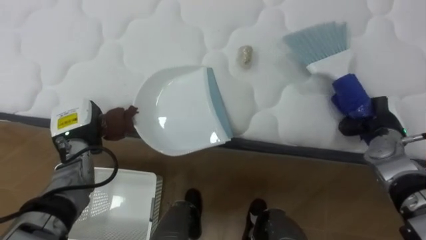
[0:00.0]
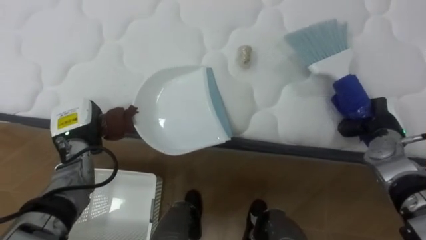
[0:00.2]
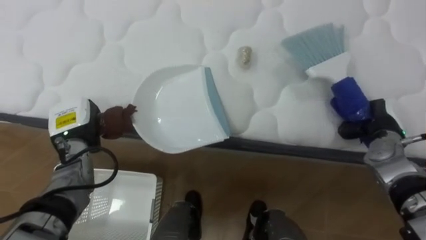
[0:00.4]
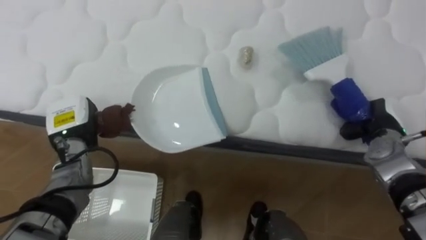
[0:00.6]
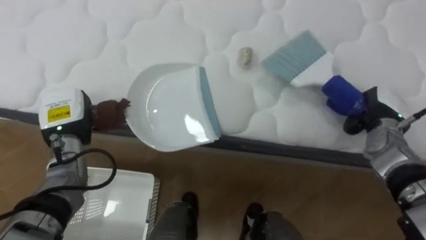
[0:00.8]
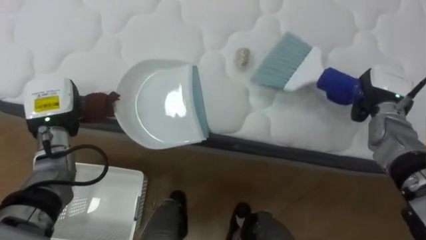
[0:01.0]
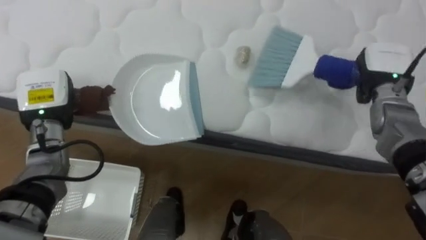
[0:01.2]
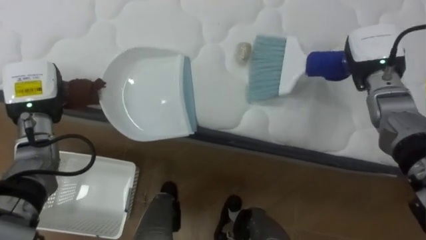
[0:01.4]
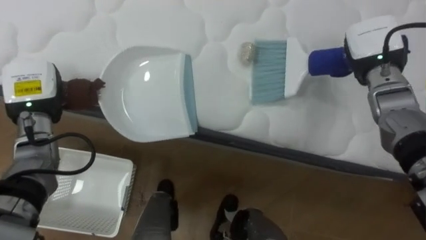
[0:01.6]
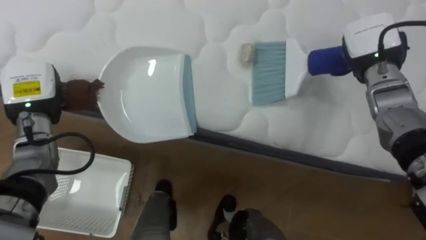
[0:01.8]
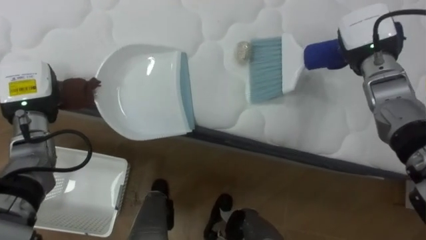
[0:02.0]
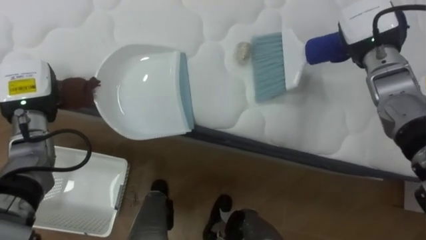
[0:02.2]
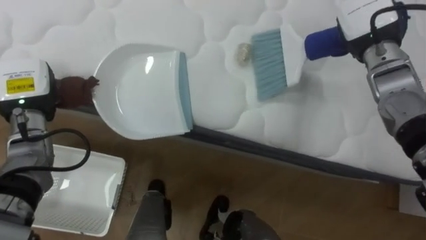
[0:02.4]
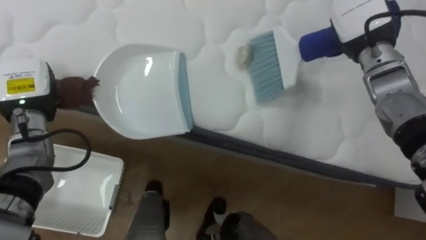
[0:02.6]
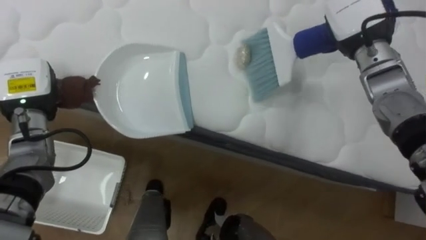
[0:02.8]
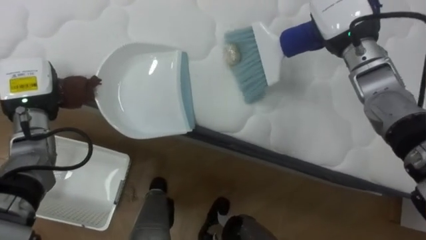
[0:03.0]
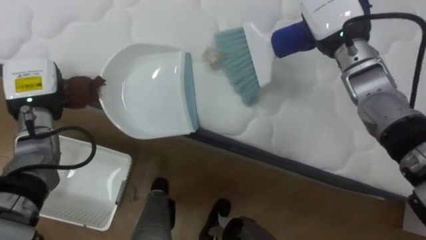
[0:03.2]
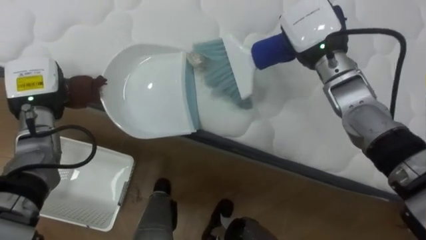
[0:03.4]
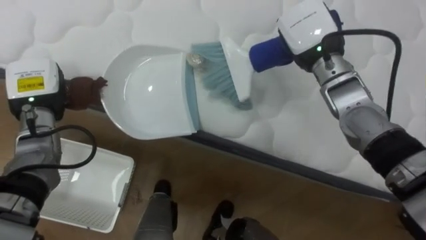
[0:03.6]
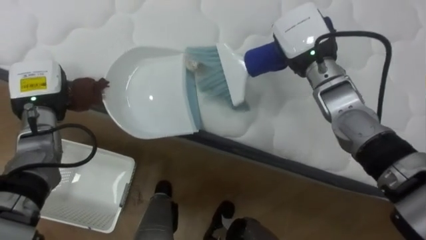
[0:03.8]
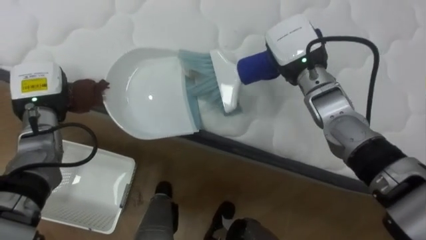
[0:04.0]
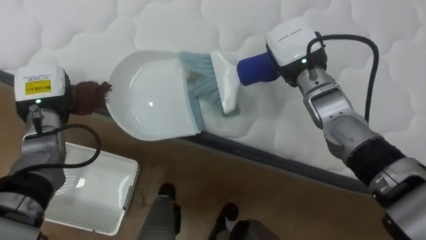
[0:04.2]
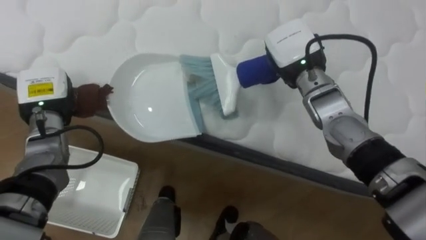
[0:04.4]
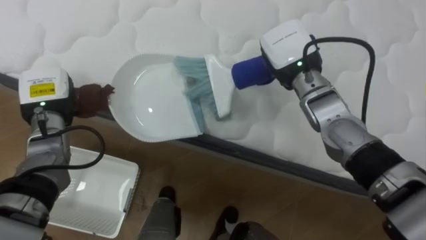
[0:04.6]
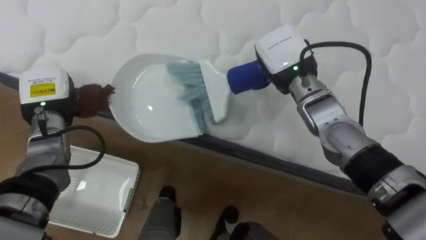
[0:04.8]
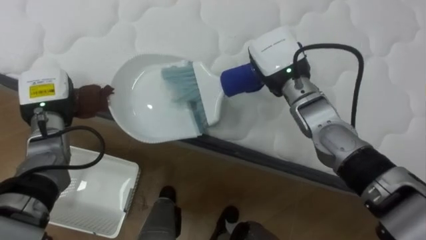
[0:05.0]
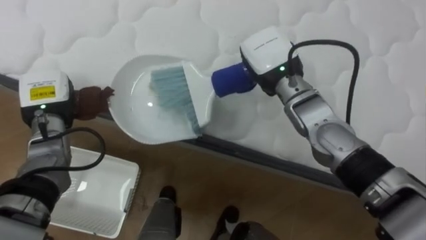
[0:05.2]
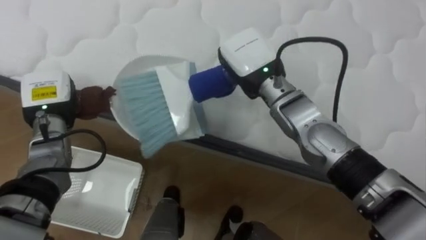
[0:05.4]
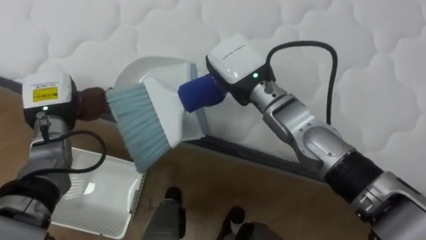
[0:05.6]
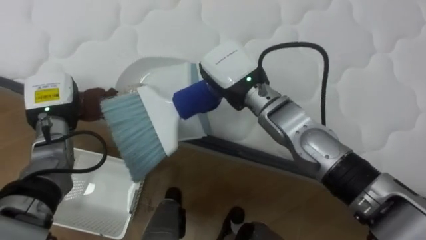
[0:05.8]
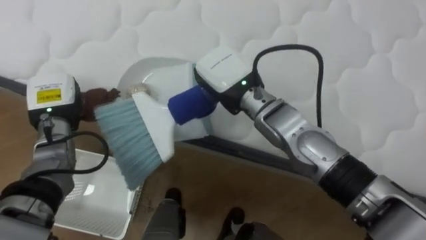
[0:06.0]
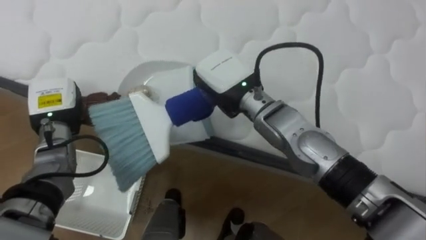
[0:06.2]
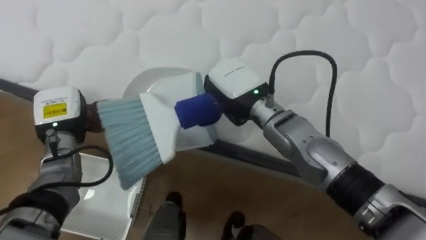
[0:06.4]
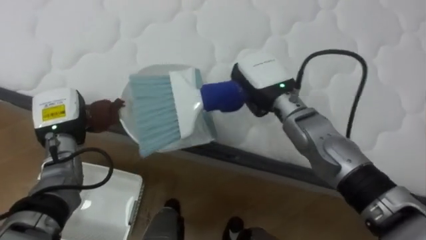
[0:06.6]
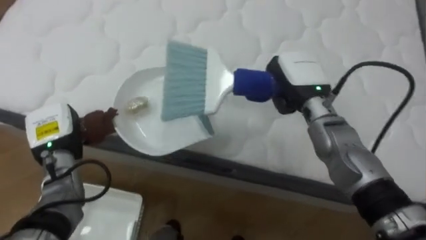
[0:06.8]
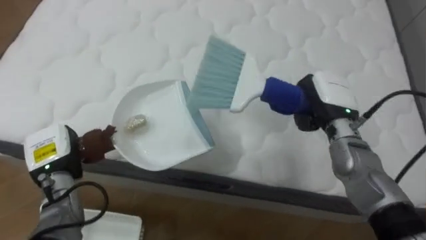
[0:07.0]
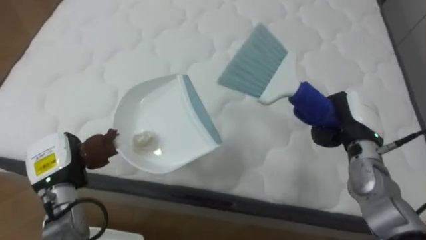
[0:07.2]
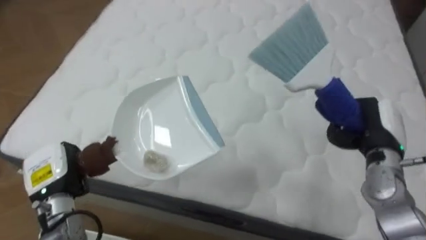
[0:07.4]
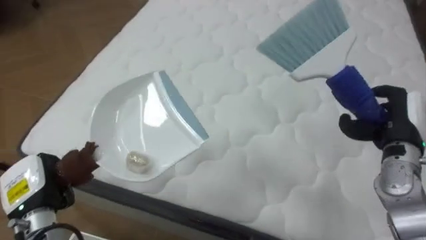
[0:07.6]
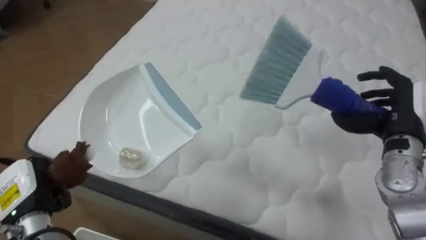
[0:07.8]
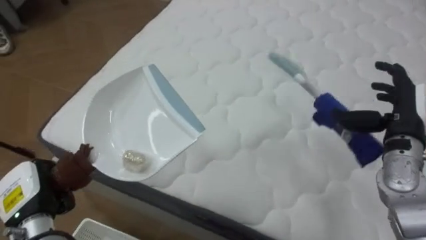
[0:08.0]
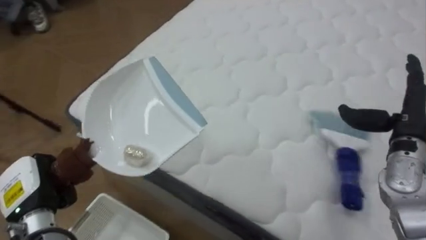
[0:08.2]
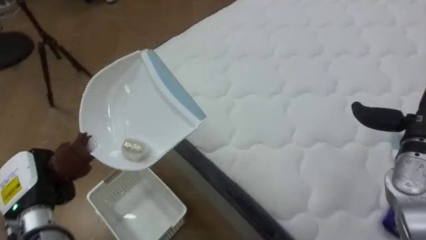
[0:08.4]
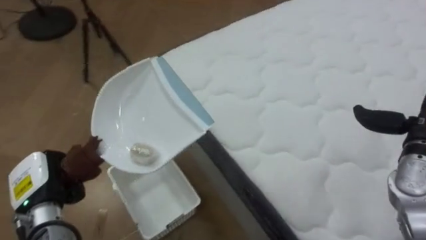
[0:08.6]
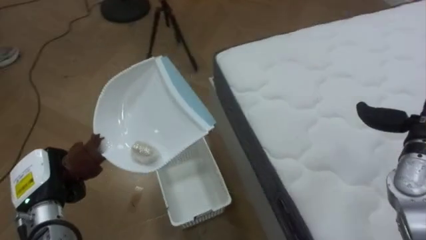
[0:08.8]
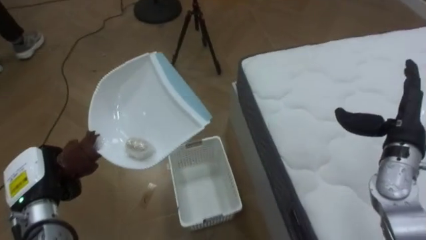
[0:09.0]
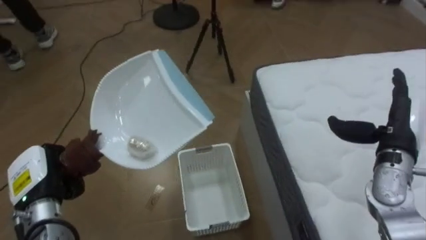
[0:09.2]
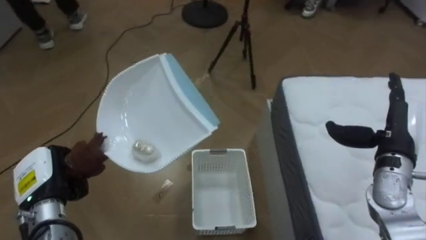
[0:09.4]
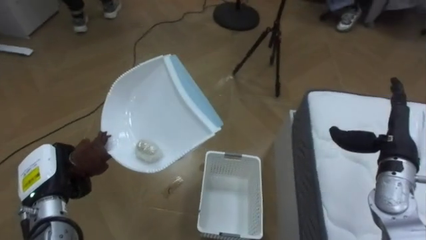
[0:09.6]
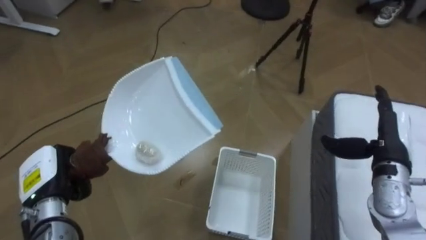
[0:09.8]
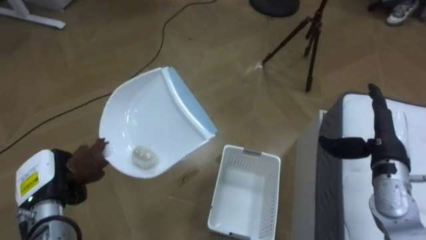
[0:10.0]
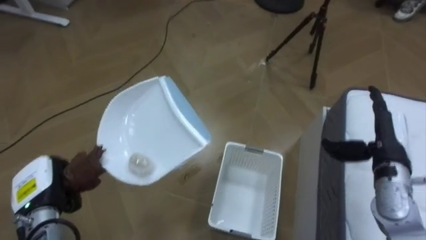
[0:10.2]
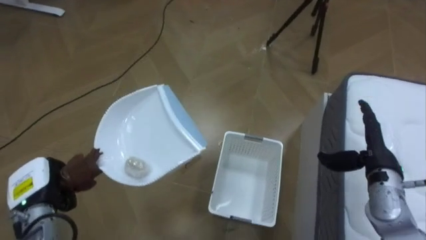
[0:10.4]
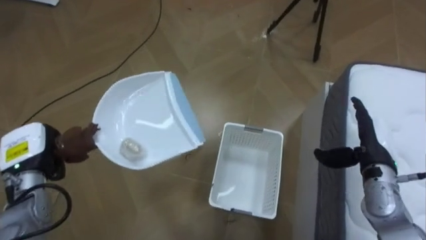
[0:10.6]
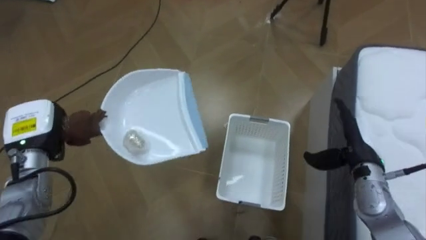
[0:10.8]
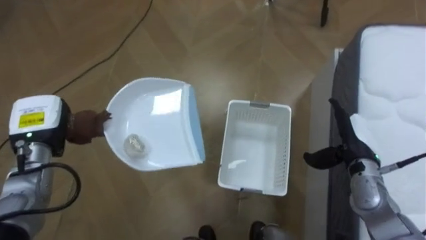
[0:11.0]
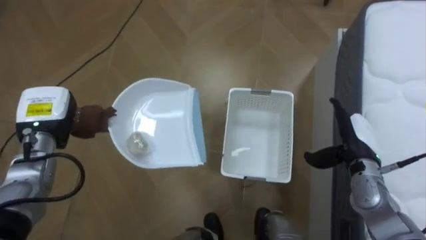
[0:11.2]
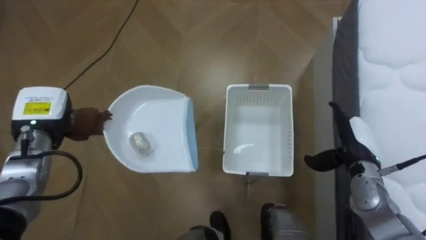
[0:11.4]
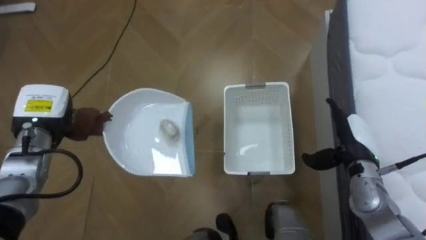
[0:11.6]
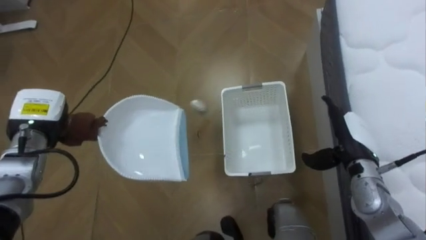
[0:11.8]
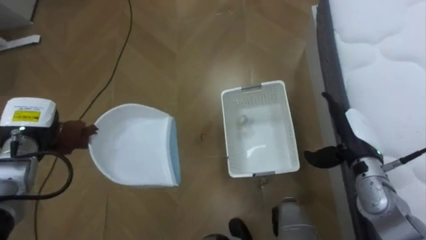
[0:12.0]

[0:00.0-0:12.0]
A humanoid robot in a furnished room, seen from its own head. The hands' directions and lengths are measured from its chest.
Task of the whole recording: Pick up the brush on your right and the dustpan on your left. Use the brush to sweep the crumpled paper on the bed into the dustpan, then turn left and empty it into the basket.
0:00.0 to 0:01.6: The right hand heads upward, forward and to the left, covering about 15 cm. The left hand heads upward, covering about 10 cm.
0:01.6 to 0:03.0: The right hand travels to the left and upward by some 10 cm.
0:03.0 to 0:04.4: The right hand is displaced to the left and downward by some 10 cm.
0:04.4 to 0:06.0: The right hand goes about 15 cm to the left and backward.
0:06.0 to 0:07.6: The right hand heads to the right, covering roughly 30 cm; the left hand moves backward and downward, some 15 cm.
0:07.6 to 0:09.0: The robot turns to its left by approximately 55 degrees.
0:09.0 to 0:10.4: The robot's body swings approximately 35 degrees to its left. The right hand goes approximately 5 cm downward.
0:10.4 to 0:12.0: The left hand moves forward and upward, some 15 cm.

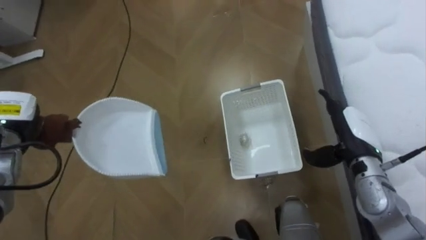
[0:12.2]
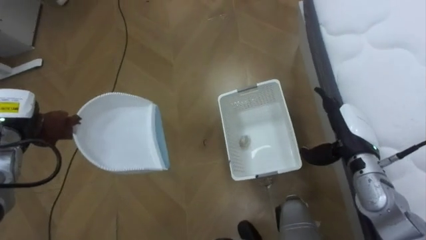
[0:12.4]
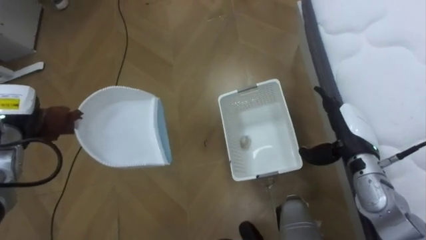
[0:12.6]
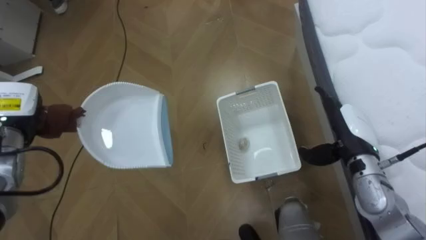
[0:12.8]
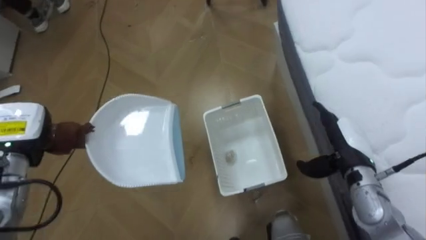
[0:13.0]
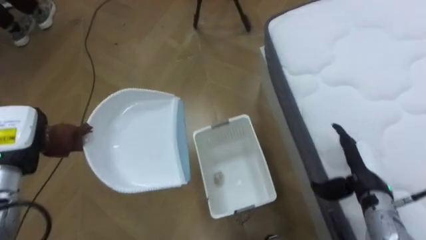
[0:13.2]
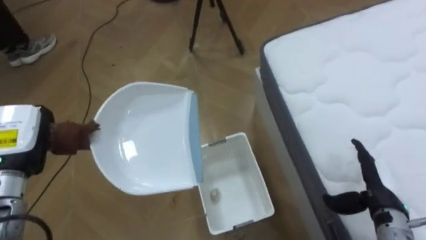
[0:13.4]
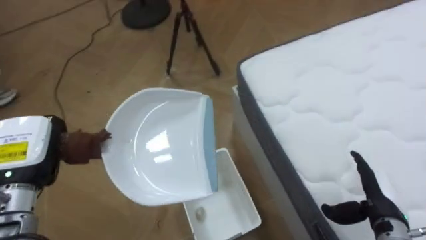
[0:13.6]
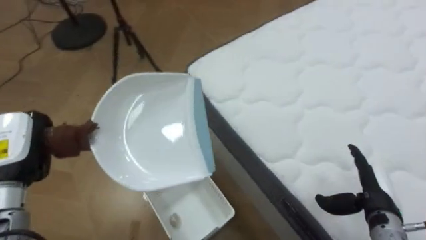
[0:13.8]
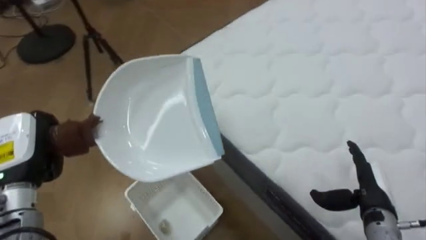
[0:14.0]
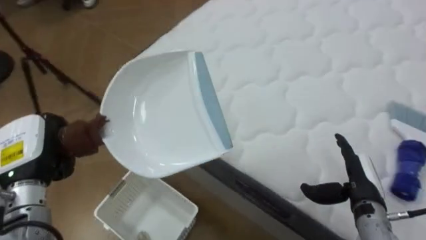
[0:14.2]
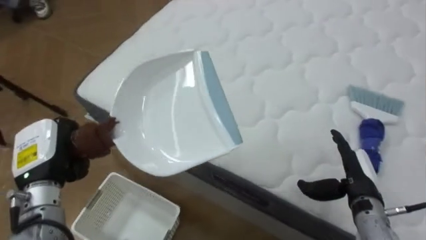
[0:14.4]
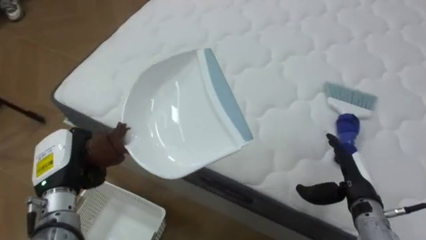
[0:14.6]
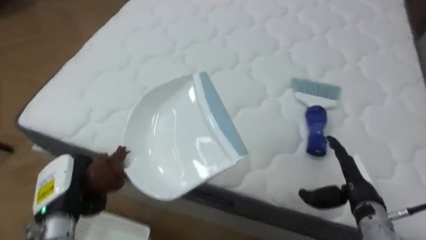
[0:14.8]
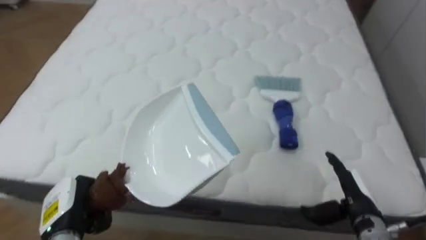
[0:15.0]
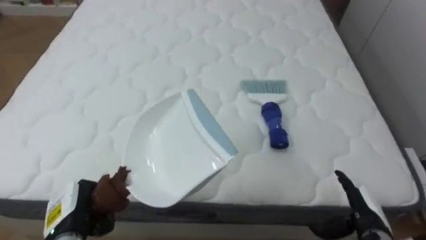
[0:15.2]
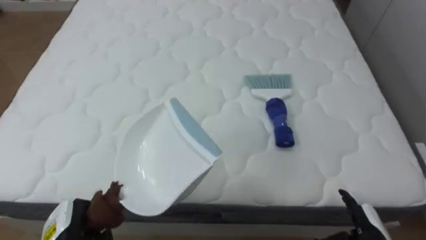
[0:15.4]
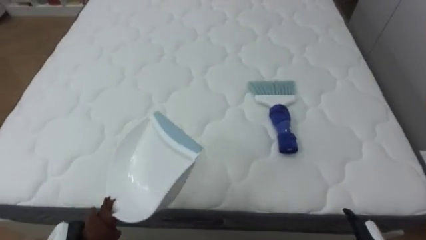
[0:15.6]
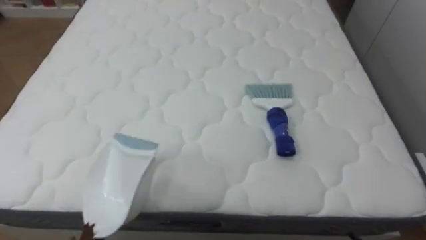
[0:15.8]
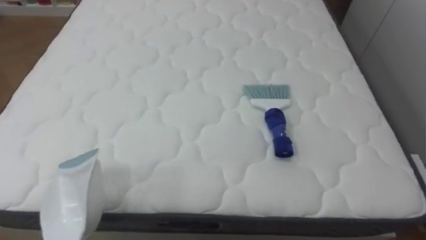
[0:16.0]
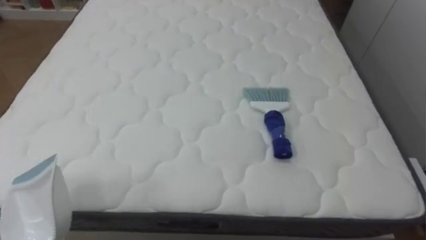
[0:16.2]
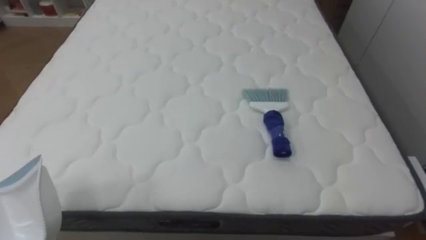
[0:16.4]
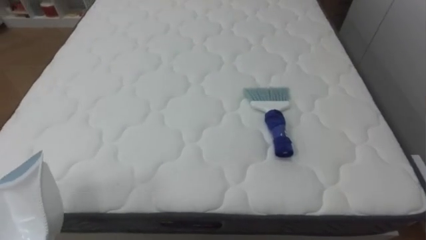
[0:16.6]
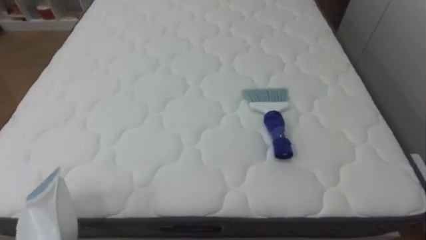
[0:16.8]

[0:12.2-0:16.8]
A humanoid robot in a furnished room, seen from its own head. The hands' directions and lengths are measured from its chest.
Task of the whole recording: Pick up the brush on your right and the dustpan on your left. Use the brush to sweep the crumpled paper on the bed into the dustpan, then turn left and empty it into the basket.
0:12.2 to 0:13.8: The robot turns to its right by about 45 degrees. The left hand moves backward, roughly 10 cm; the right hand goes roughly 10 cm backward and downward.
0:13.8 to 0:15.2: The robot rotates about 55 degrees to its right. The left hand travels downward by approximately 15 cm.
